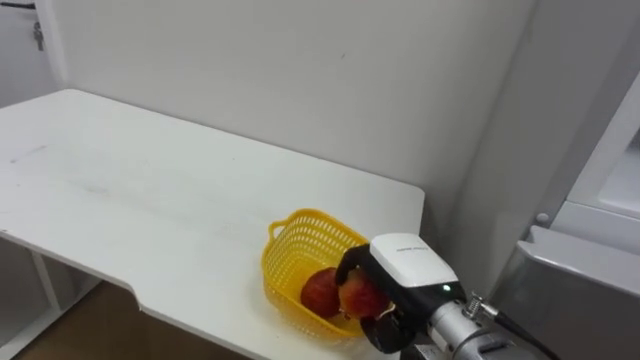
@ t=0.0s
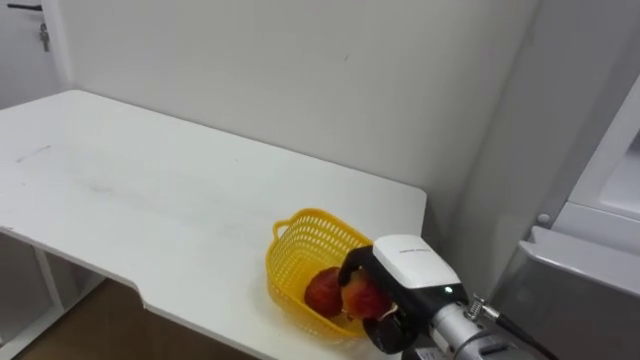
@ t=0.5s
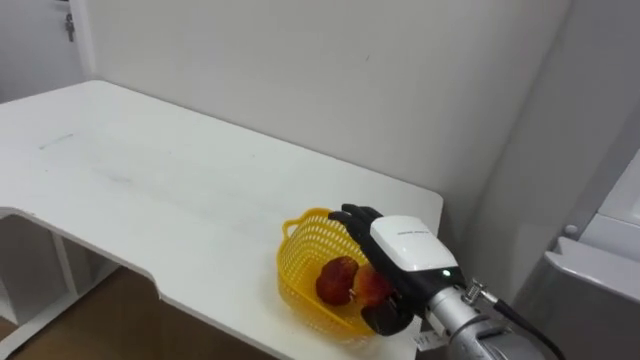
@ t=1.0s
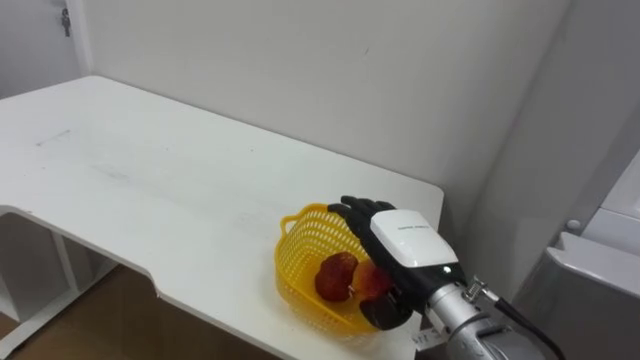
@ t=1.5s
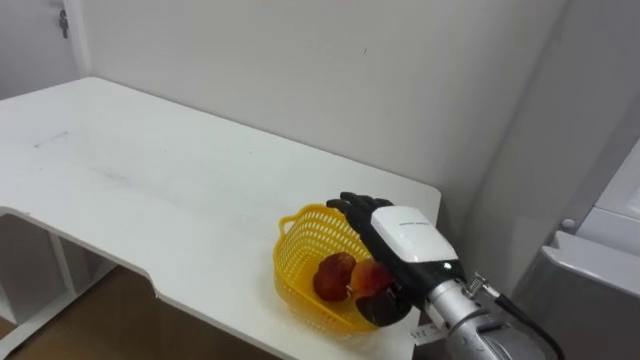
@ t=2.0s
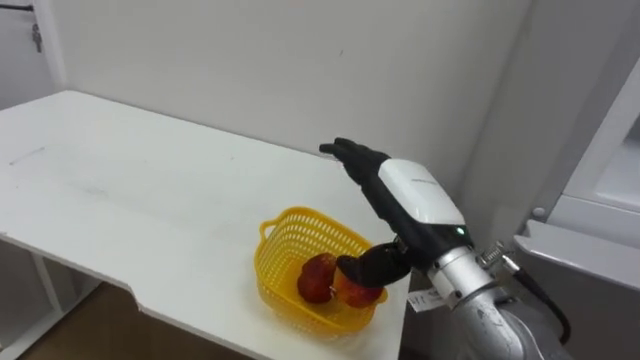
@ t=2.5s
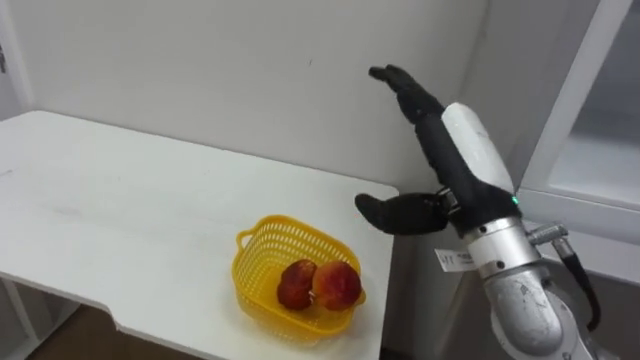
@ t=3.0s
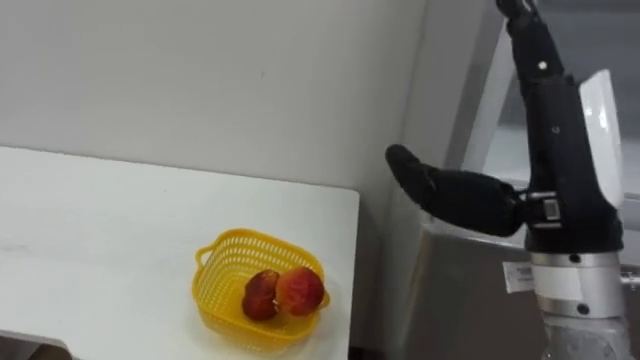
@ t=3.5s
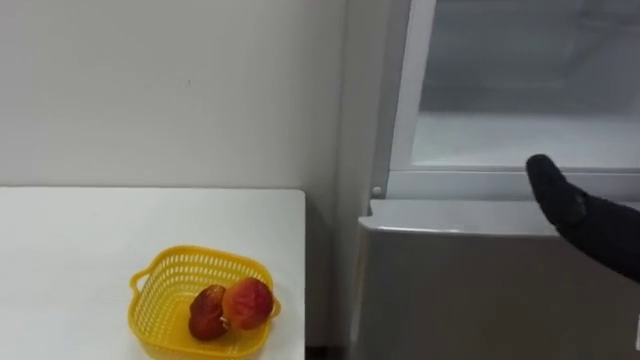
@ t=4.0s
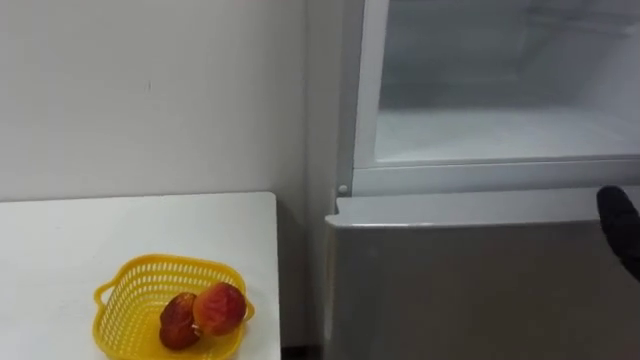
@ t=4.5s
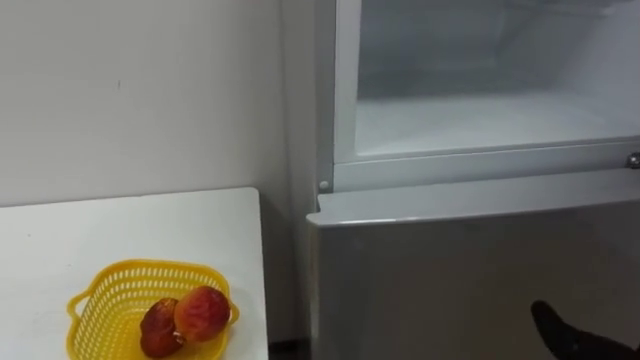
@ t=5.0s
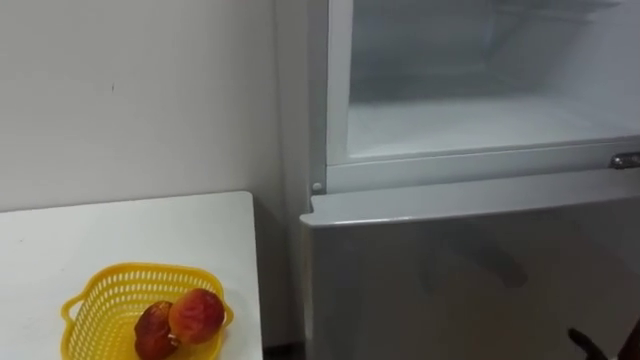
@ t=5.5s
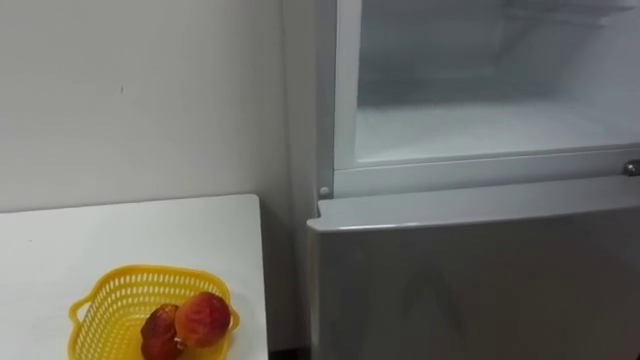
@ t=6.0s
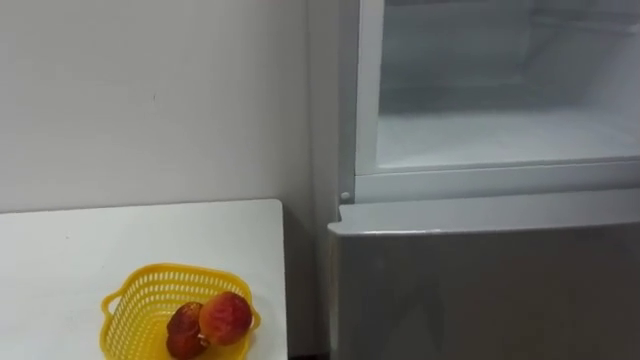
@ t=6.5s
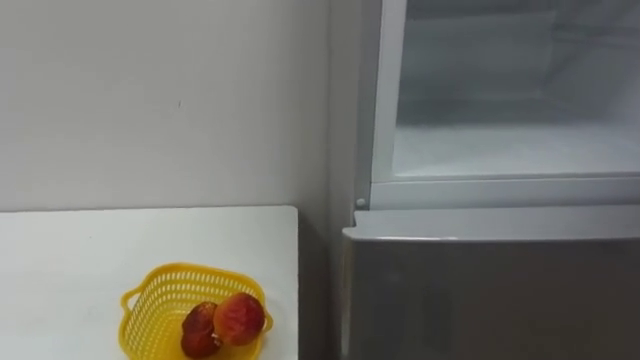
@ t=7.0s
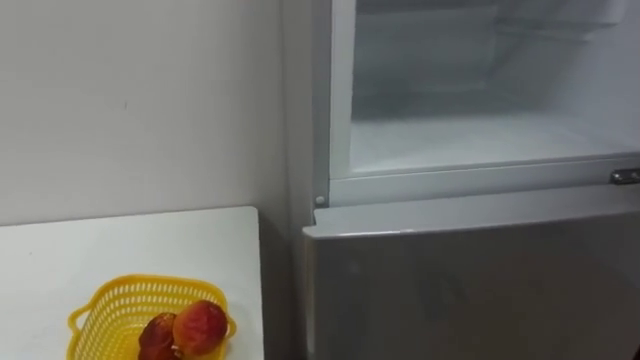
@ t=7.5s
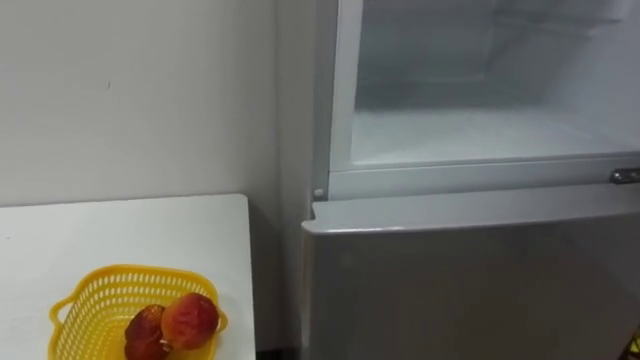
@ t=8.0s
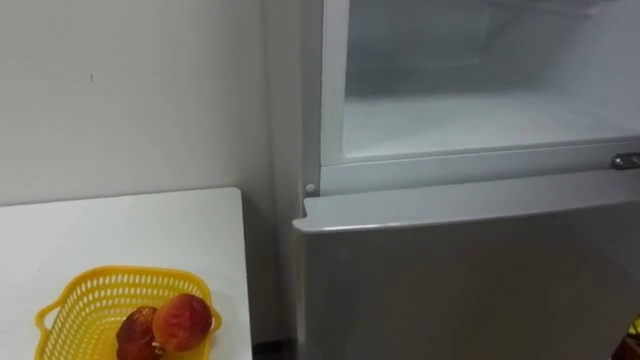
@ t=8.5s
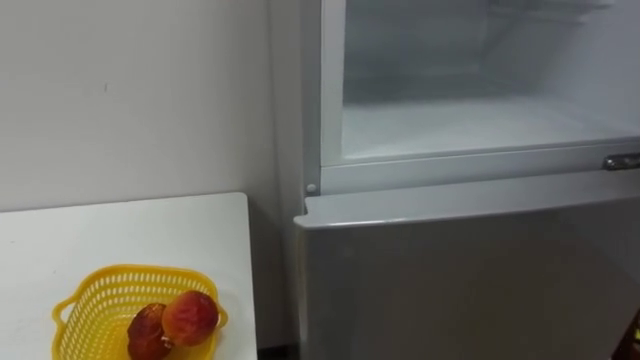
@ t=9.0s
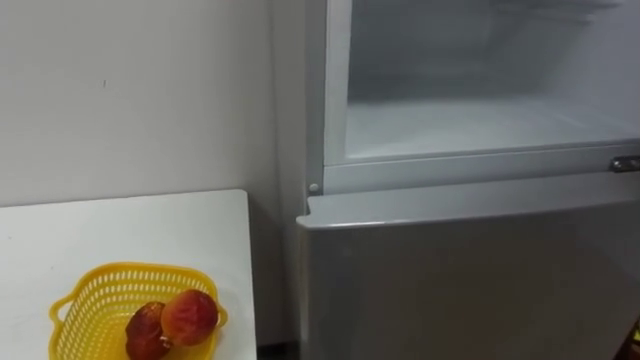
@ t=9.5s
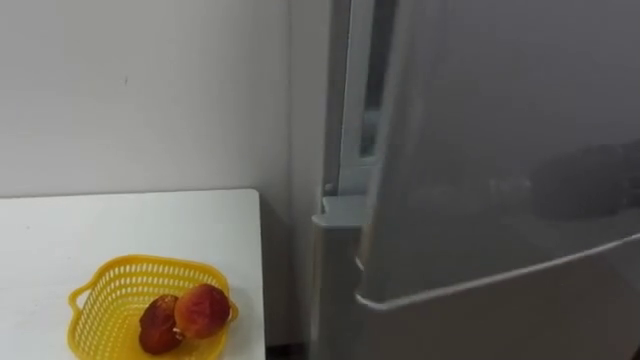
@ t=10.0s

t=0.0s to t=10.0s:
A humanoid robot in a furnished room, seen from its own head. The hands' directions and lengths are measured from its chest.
Task of the whole recording: Open the refrigerator door, take out the apple and the pomegranate, place them in the fruit basket on the left, and close the refrigerator door.
t=0.0s to t=2.0s: The right hand opens up.

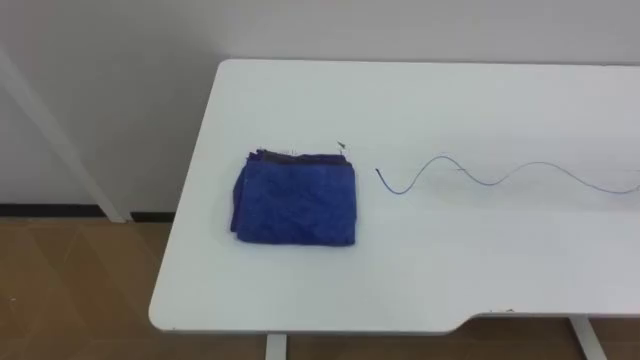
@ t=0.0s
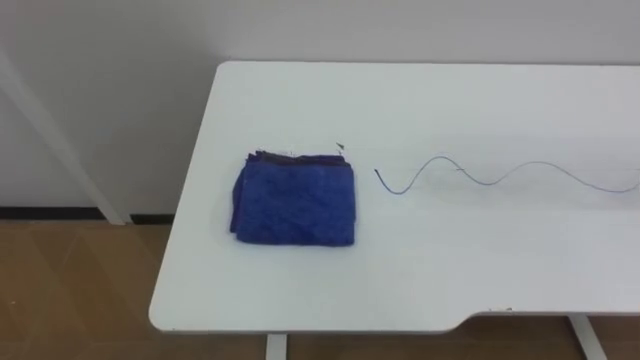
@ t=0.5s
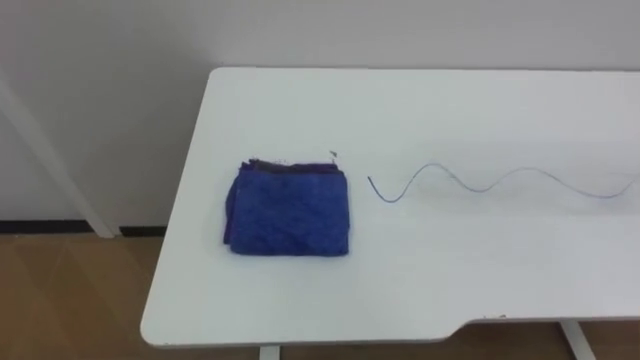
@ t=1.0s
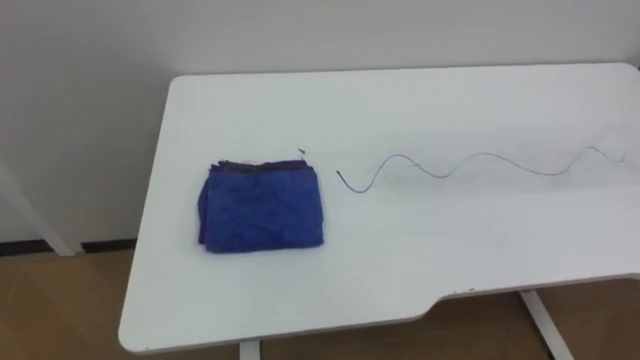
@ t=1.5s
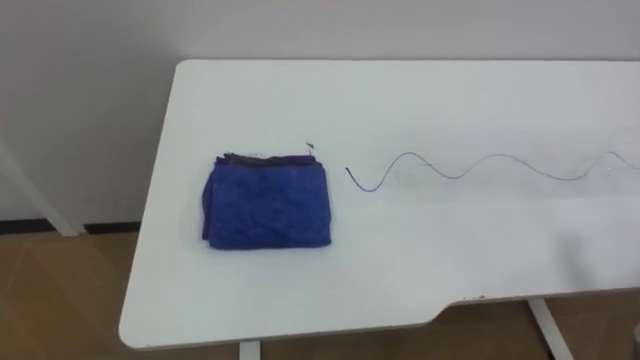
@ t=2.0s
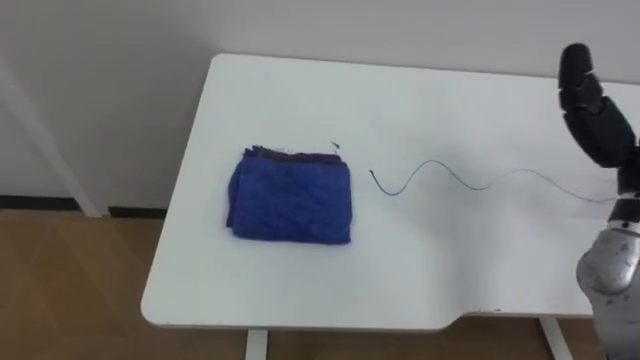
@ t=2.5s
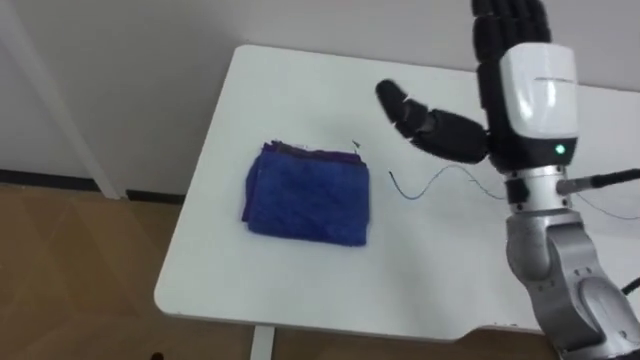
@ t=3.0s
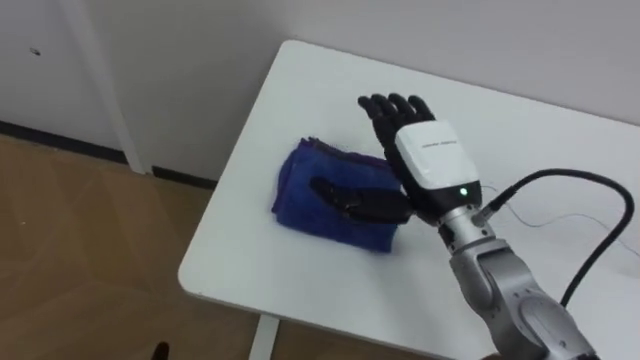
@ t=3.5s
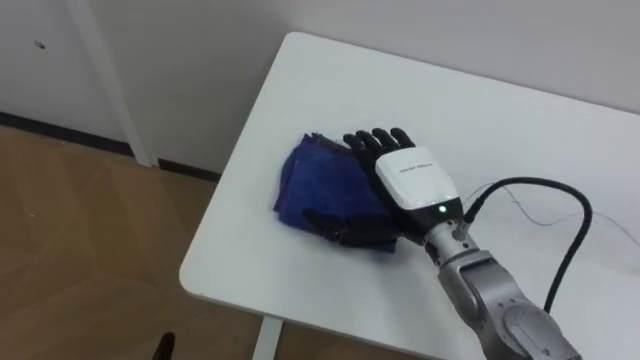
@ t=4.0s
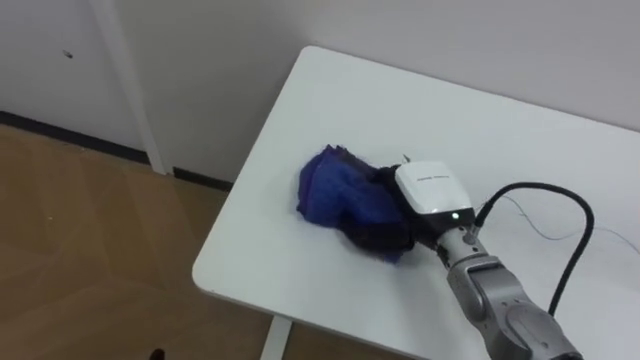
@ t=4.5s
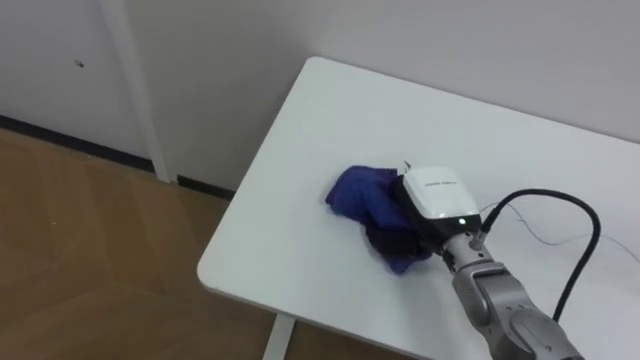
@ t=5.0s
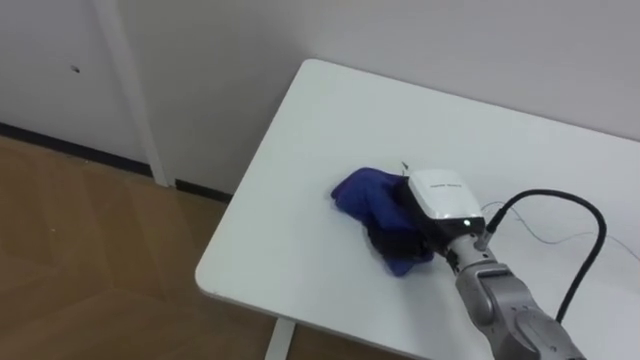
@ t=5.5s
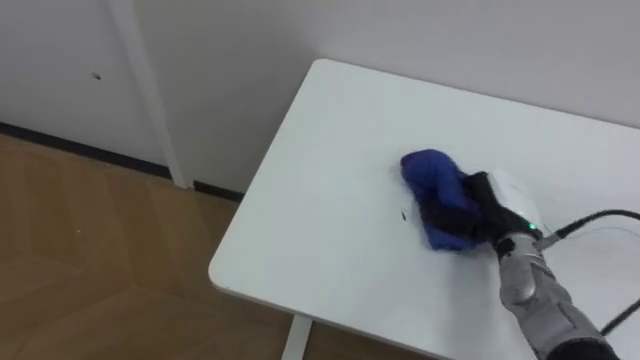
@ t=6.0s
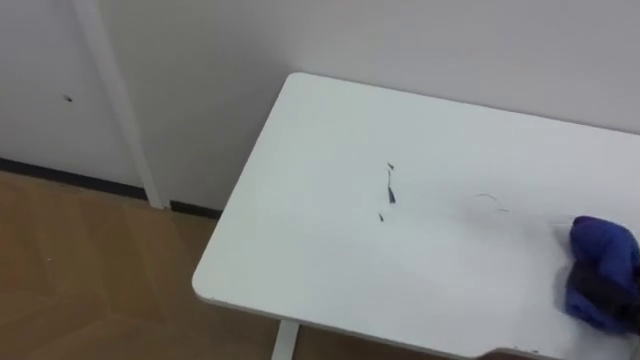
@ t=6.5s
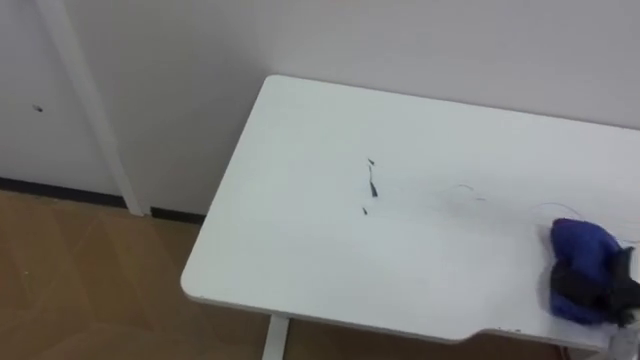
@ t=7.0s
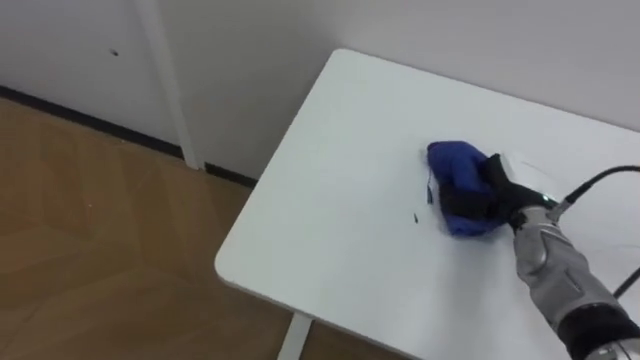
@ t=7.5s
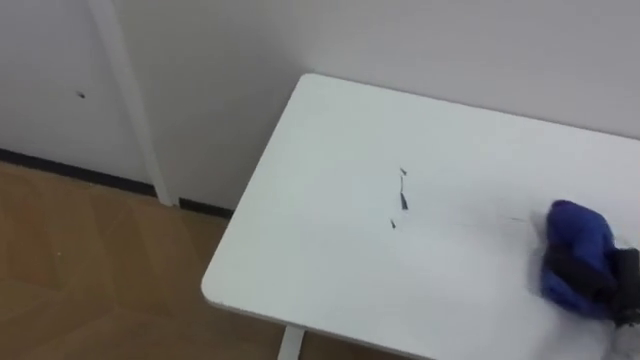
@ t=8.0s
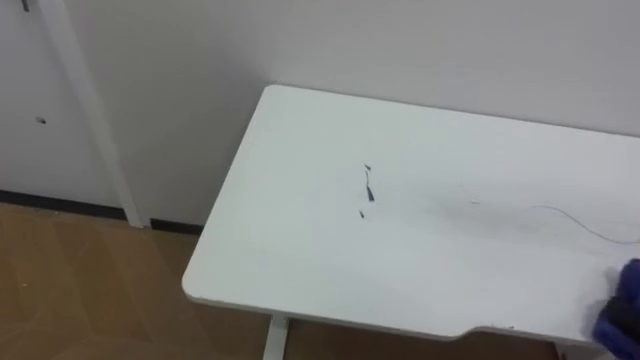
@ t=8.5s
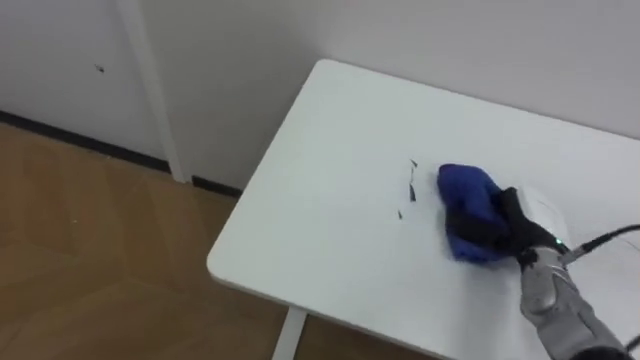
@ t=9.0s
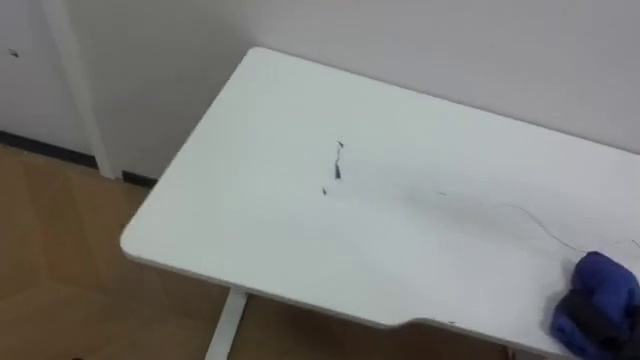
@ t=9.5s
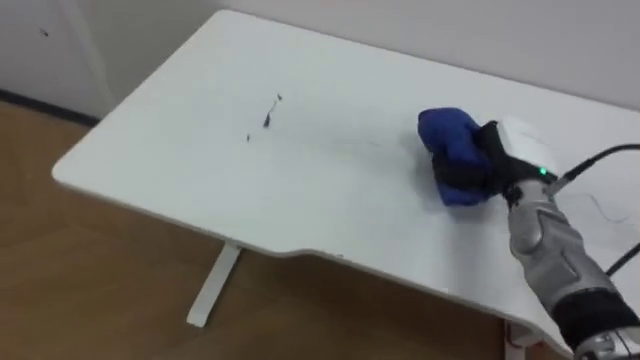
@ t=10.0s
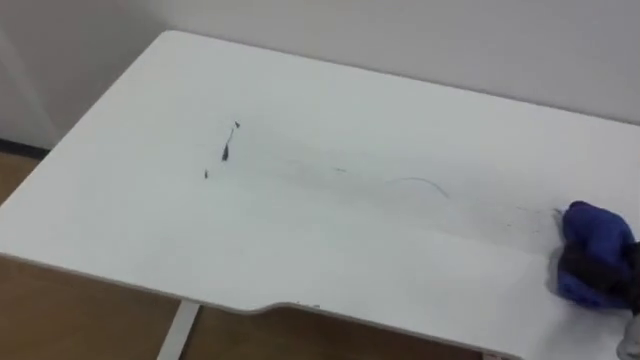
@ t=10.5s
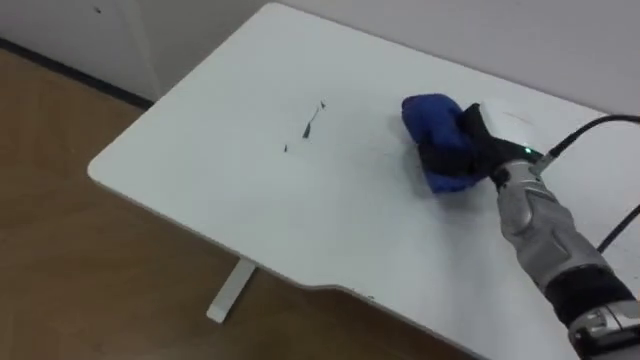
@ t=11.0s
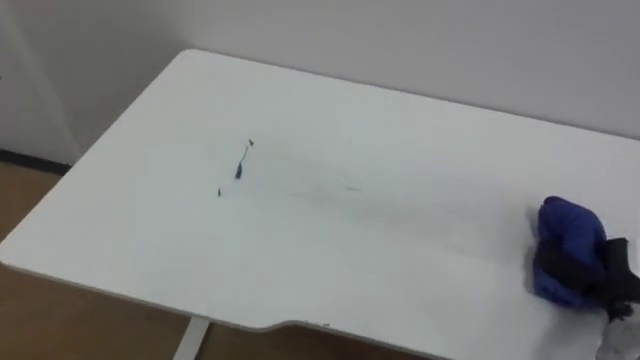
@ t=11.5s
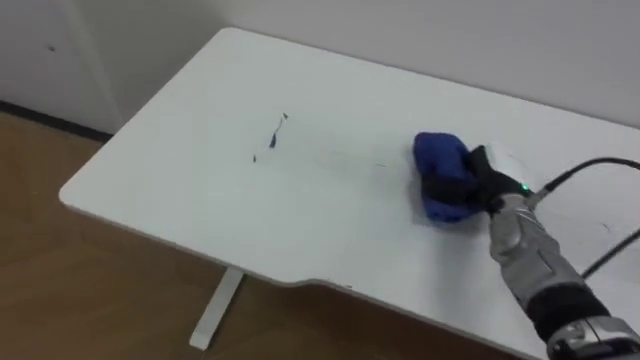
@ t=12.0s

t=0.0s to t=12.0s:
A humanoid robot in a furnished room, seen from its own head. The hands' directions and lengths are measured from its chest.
Task of the whole recording: Wipe the blue pen marks off the table with the rag.
t=4.0s to t=6.0s: The right hand shifts about 15 cm to the right and downward, and closes.
